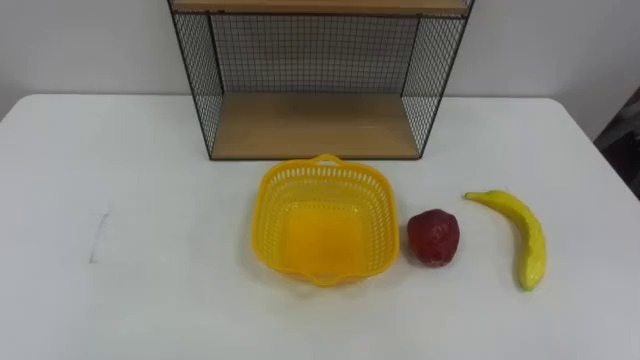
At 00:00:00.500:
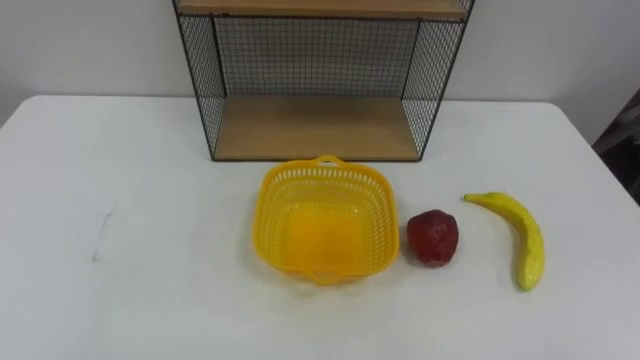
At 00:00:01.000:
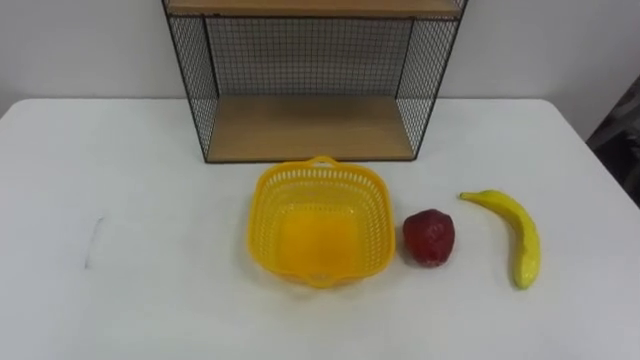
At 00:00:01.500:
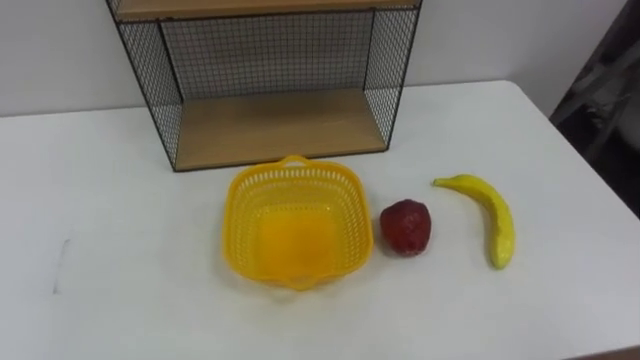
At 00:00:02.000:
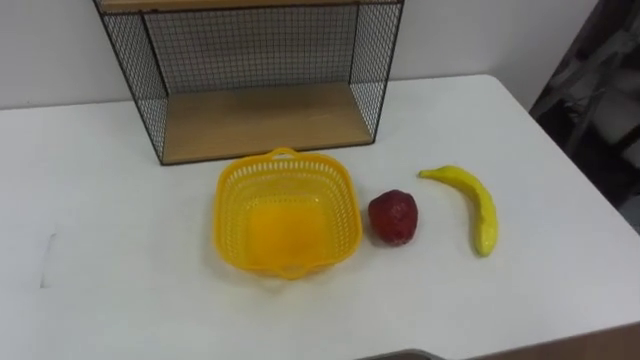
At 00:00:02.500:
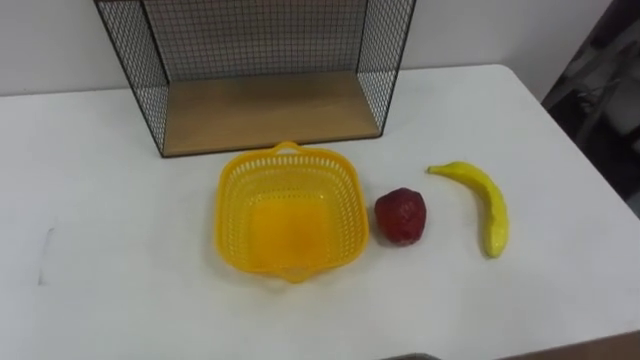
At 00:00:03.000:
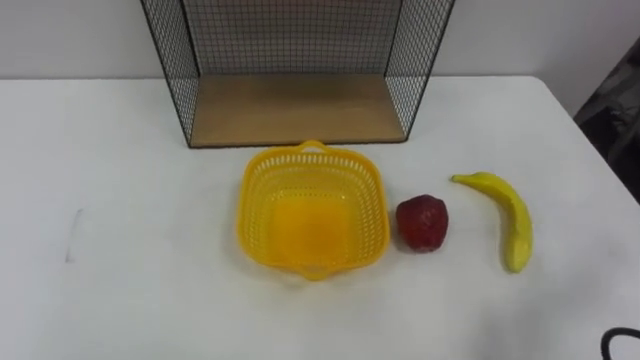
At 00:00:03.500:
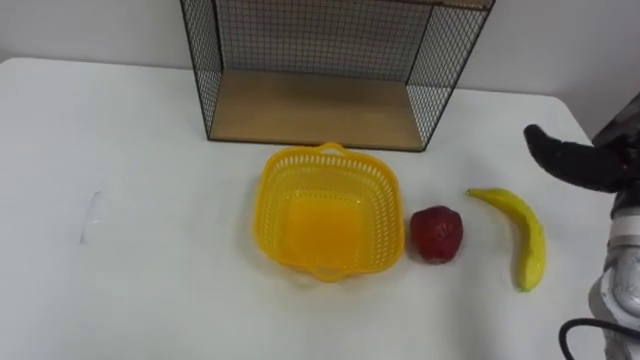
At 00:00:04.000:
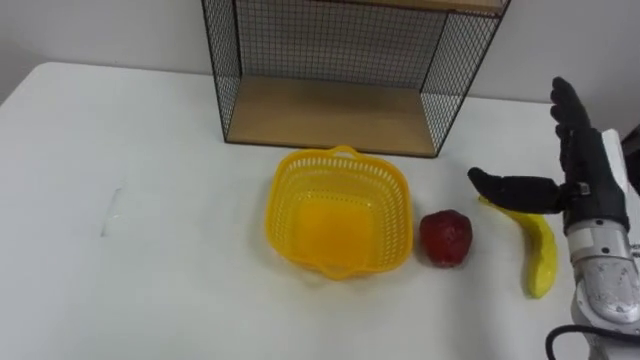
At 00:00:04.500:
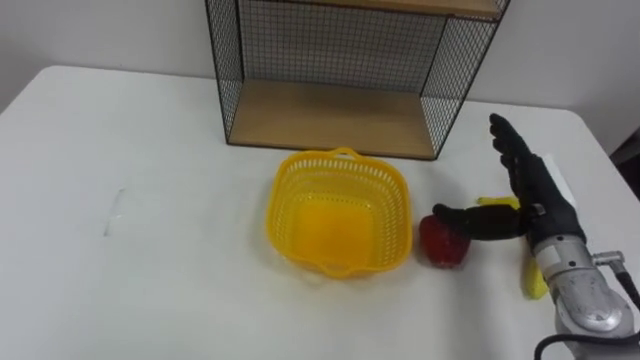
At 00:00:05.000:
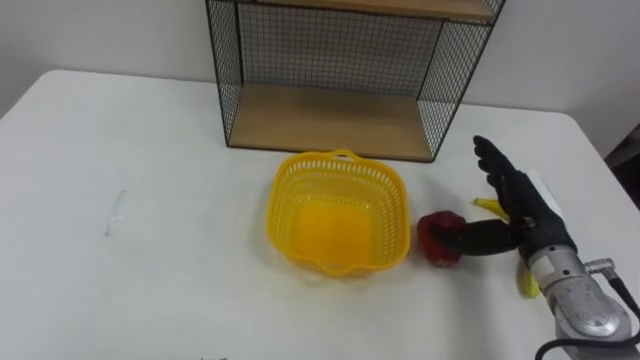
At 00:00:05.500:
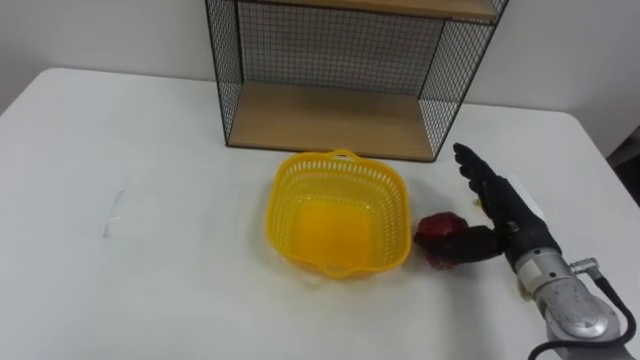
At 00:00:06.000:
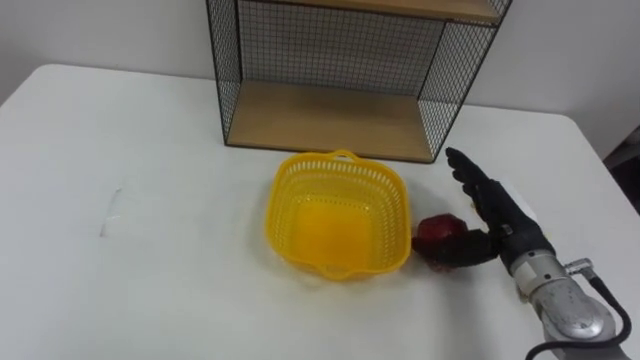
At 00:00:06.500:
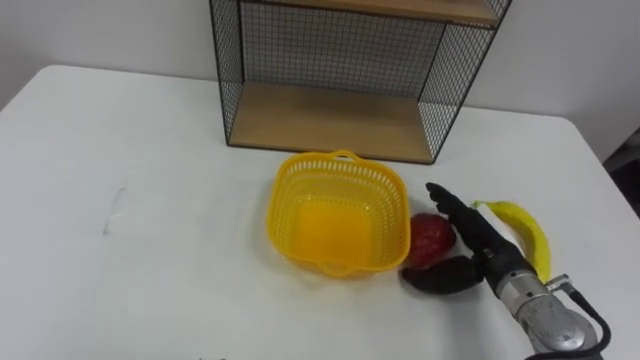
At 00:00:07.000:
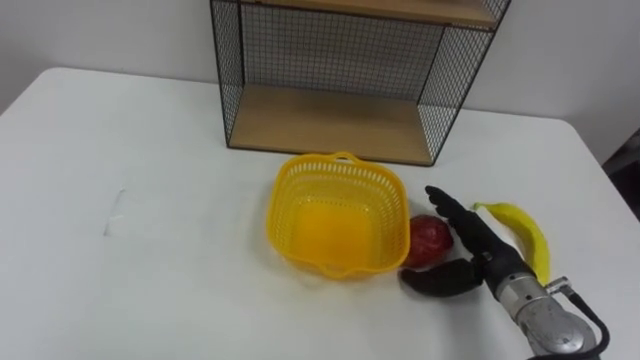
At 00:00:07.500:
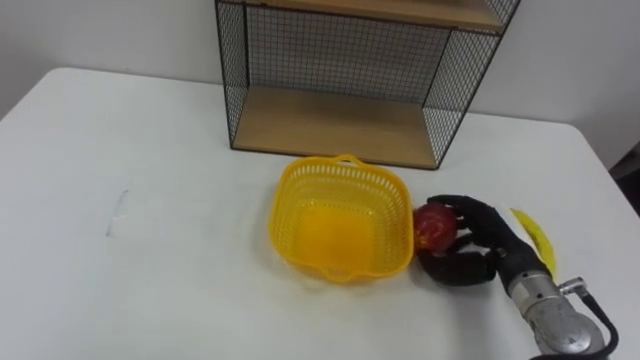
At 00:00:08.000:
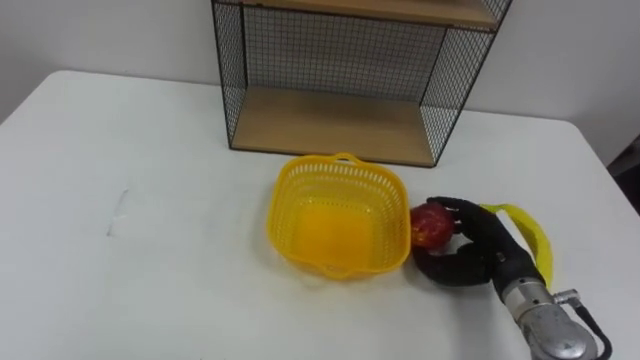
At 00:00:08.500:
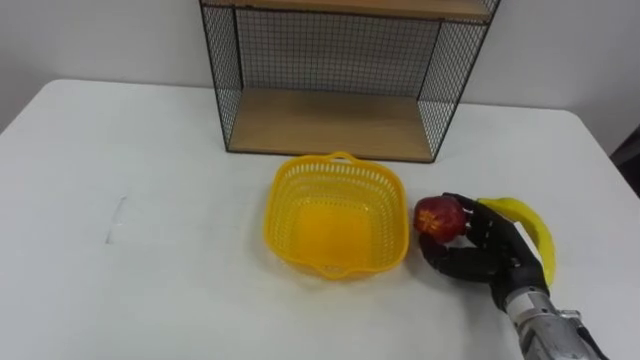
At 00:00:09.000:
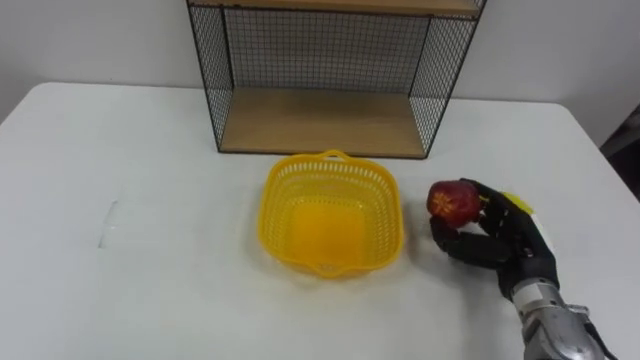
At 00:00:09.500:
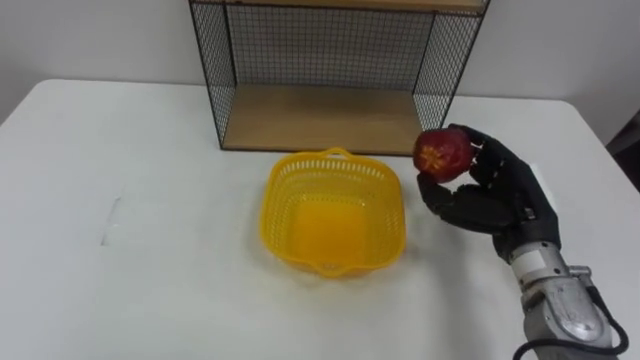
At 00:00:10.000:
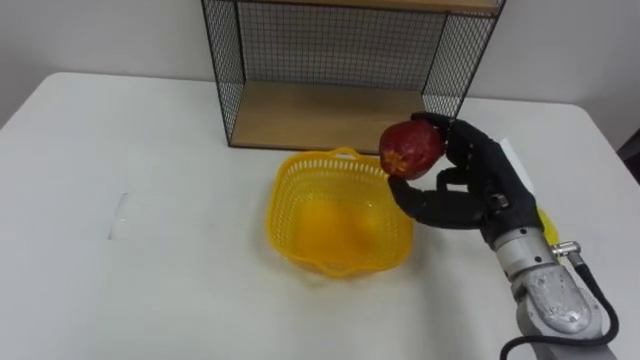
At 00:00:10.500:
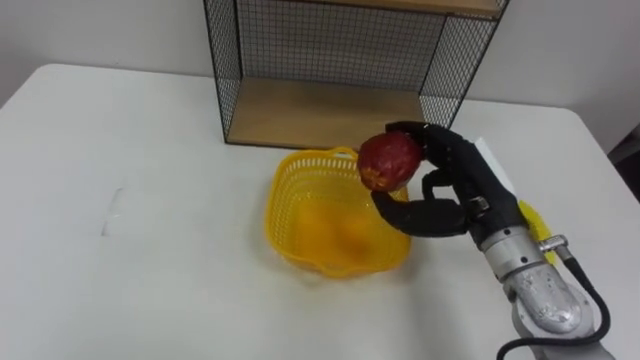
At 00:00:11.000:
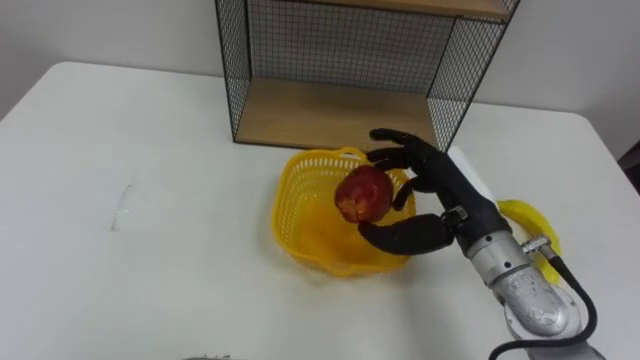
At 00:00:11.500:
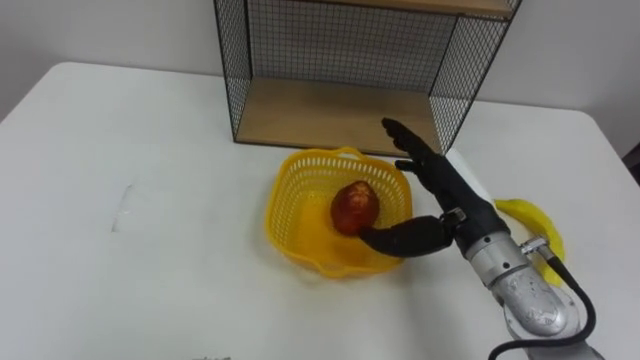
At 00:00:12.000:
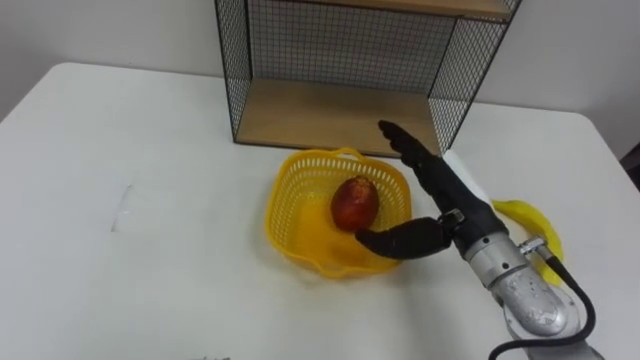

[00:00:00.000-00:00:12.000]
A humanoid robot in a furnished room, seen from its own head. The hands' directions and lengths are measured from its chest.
Task of the whole recording: Put the fruit on the table into the basket, then place the basket on the shelf.
00:00:04.000 to 00:00:06.000: The right hand moves downward and to the left, approximately 10 cm.
00:00:06.000 to 00:00:08.000: The right hand heads downward, covering approximately 5 cm, and closes.
00:00:08.000 to 00:00:10.000: The right hand heads upward, covering approximately 10 cm.
00:00:10.000 to 00:00:12.000: The right hand opens its fingers.

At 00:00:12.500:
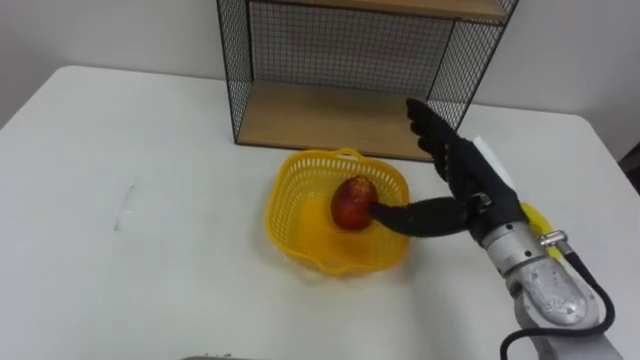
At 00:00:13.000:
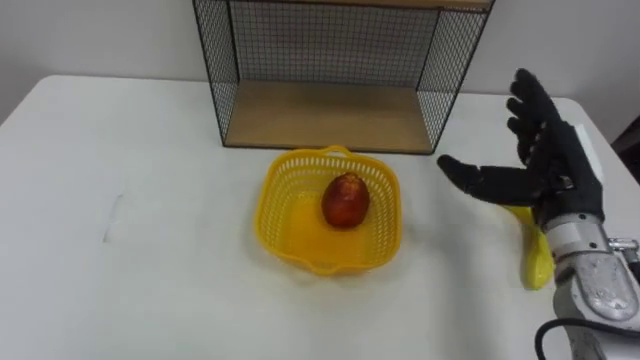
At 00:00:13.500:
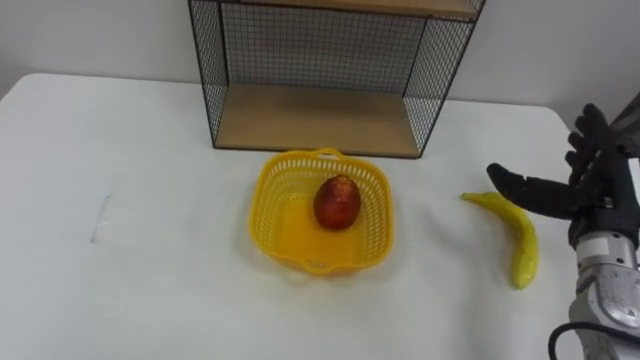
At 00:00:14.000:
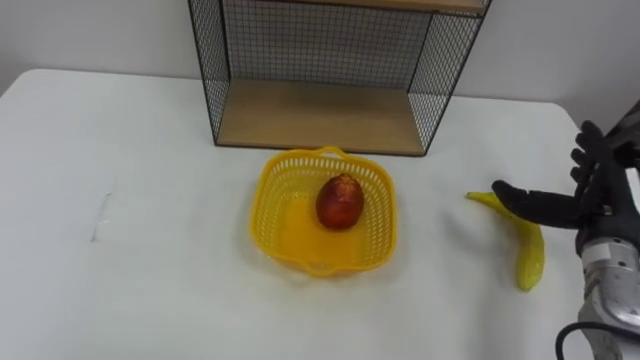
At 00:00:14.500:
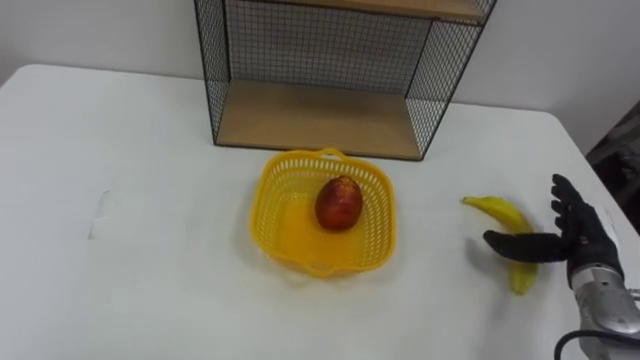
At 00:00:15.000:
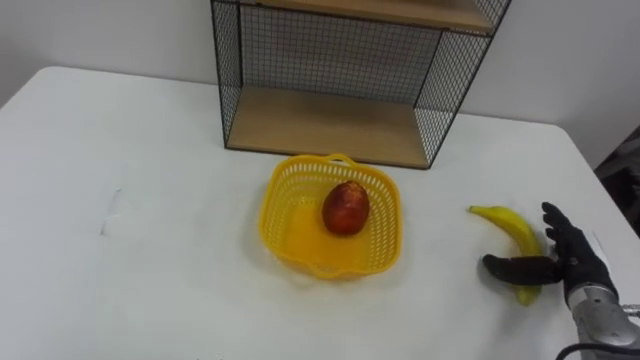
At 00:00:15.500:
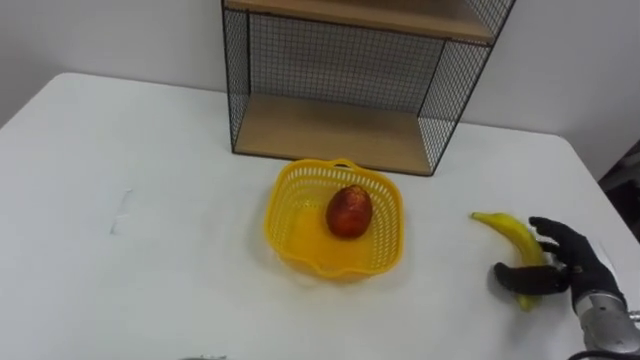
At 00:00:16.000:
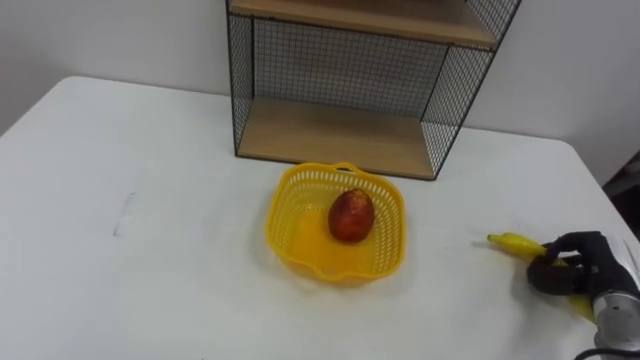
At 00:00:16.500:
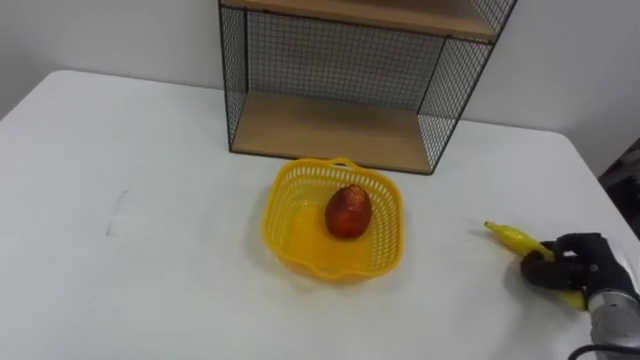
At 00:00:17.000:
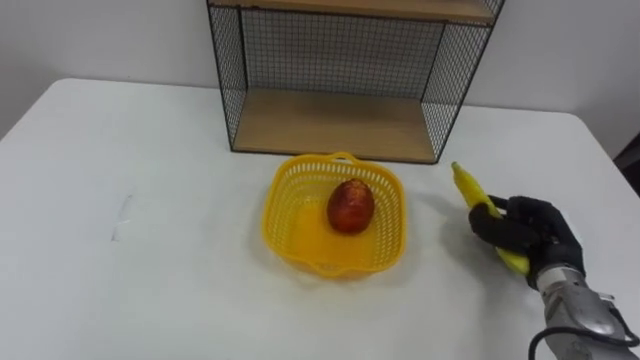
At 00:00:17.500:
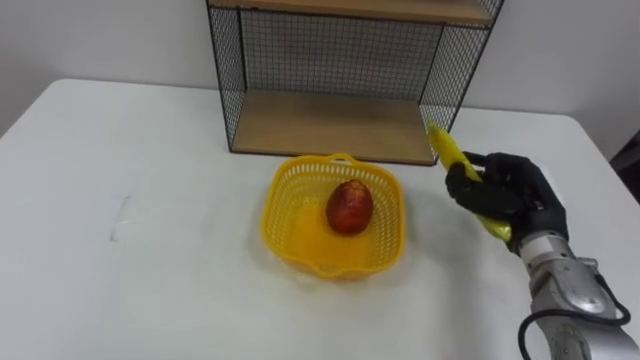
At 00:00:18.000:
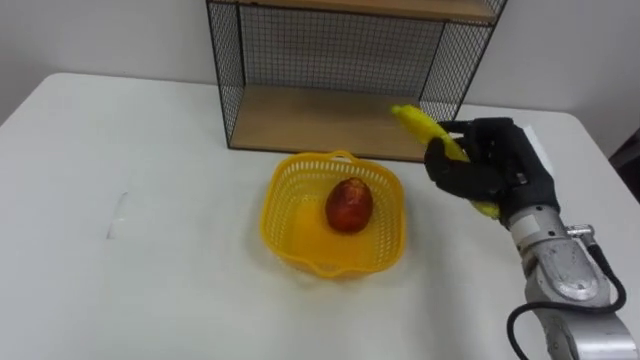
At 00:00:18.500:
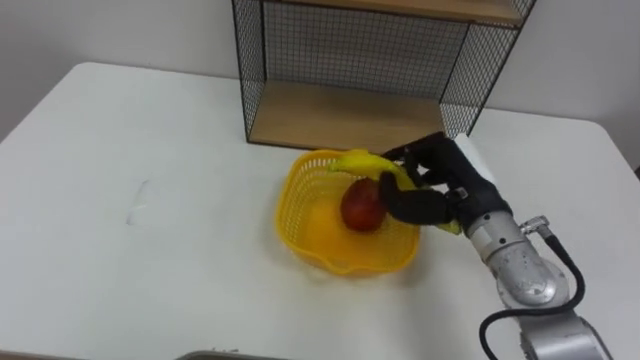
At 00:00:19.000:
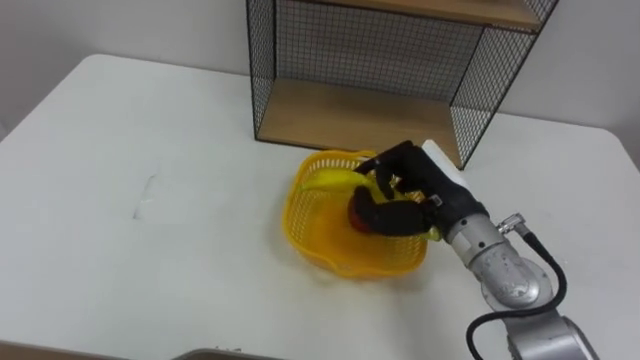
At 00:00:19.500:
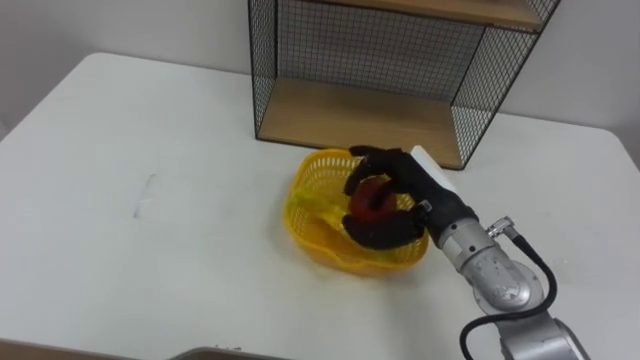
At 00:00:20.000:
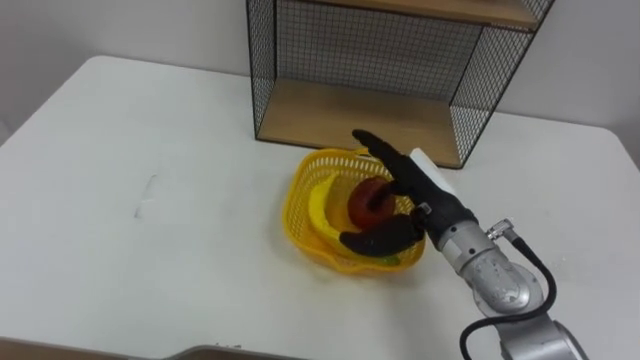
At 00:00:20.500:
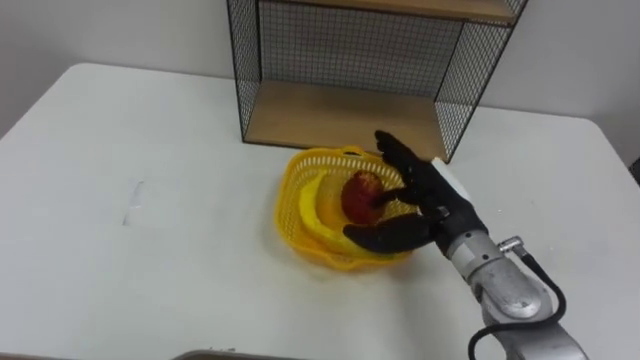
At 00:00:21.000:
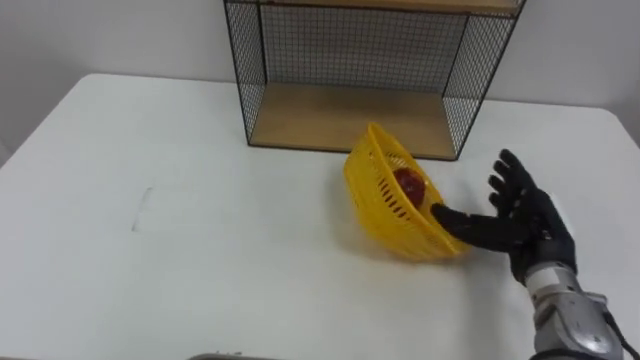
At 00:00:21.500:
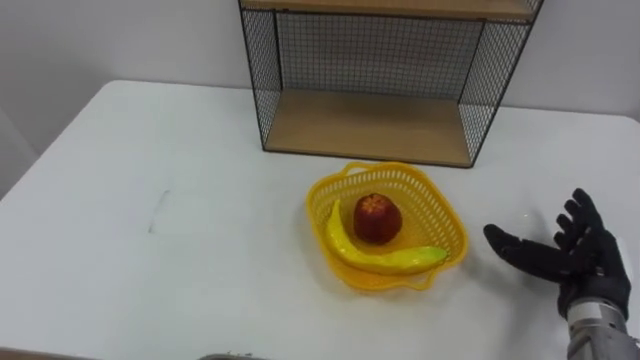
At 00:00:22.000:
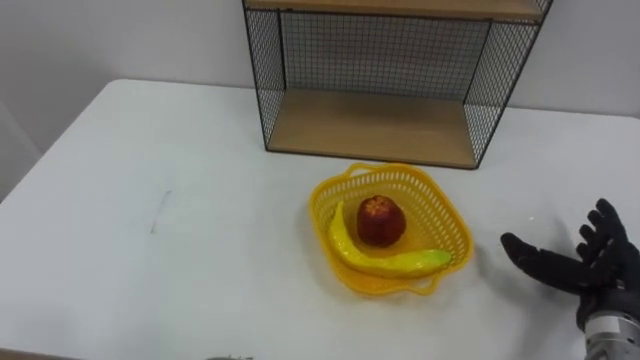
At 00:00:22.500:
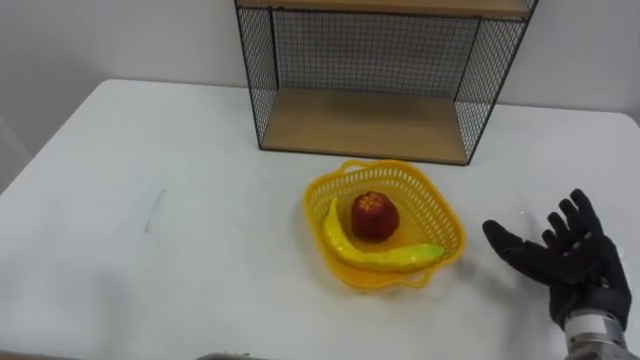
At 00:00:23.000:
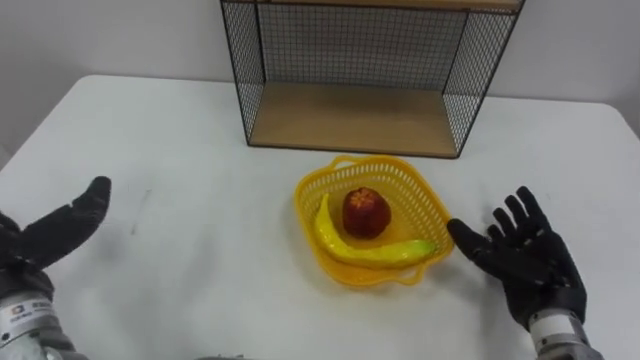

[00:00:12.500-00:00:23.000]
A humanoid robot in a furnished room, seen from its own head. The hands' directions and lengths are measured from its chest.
Task of the whole recording: Put the fruit on the table into the basket, then place the basket on the shelf.
00:00:12.500 to 00:00:14.500: The right hand goes some 20 cm to the right and downward.
00:00:14.500 to 00:00:16.500: The right hand moves roughly 5 cm, and closes its fingers.
00:00:16.500 to 00:00:19.000: The right hand is displaced to the left and upward by some 25 cm.
00:00:19.000 to 00:00:21.000: The right hand is displaced to the right and downward by roughly 10 cm, and opens up.
00:00:21.000 to 00:00:23.000: The right hand is displaced backward by roughly 5 cm, and goes to the right and returns, some 10 cm each way.
